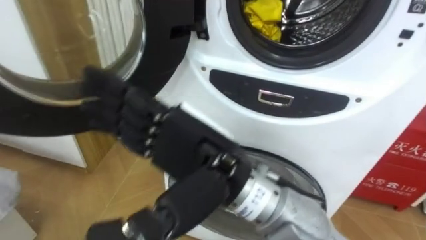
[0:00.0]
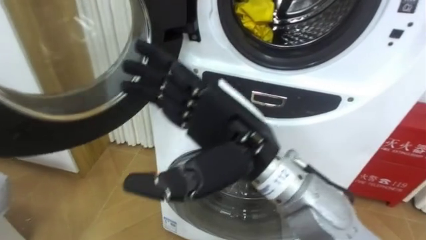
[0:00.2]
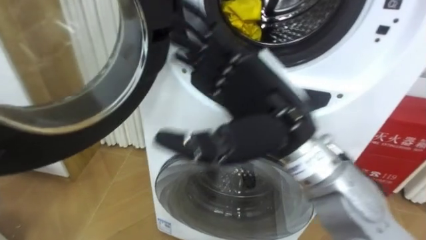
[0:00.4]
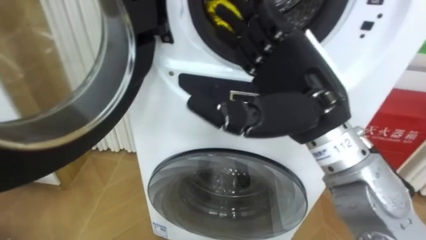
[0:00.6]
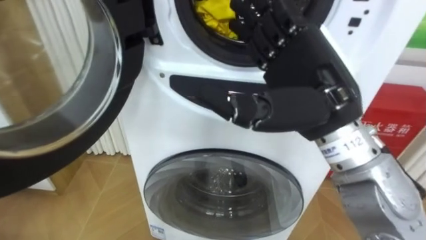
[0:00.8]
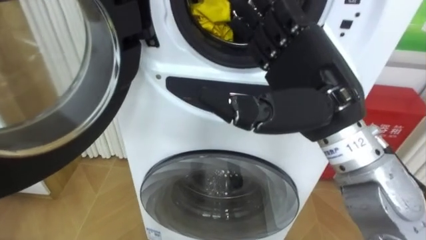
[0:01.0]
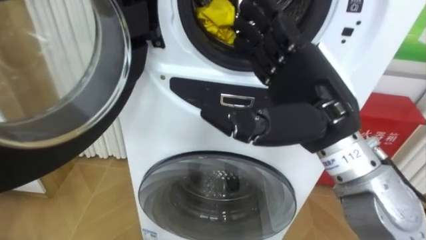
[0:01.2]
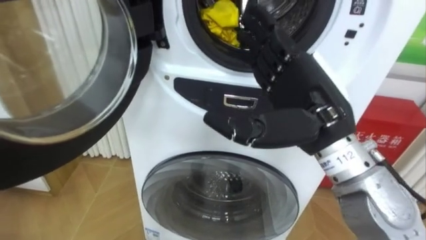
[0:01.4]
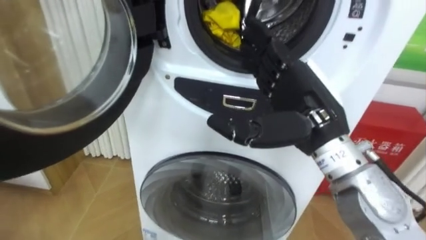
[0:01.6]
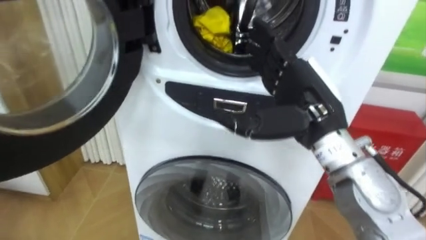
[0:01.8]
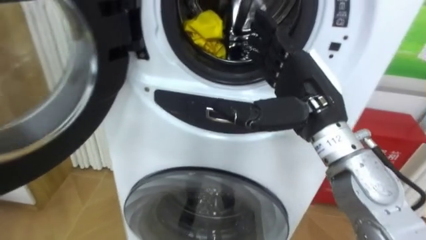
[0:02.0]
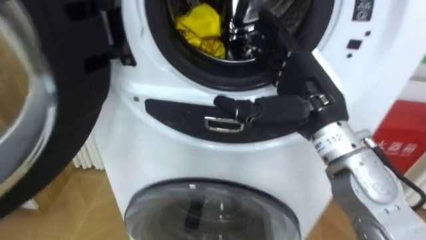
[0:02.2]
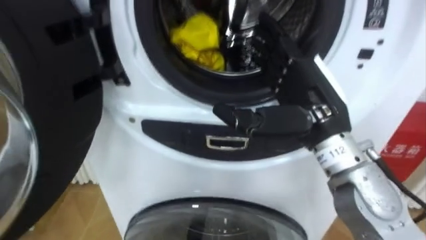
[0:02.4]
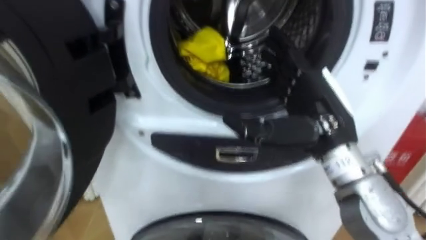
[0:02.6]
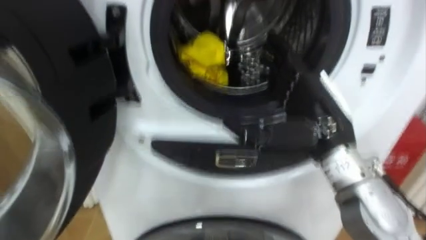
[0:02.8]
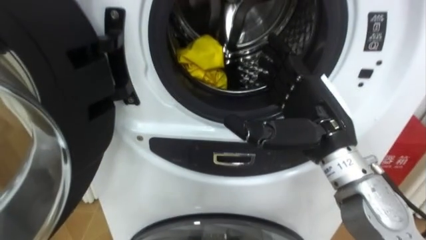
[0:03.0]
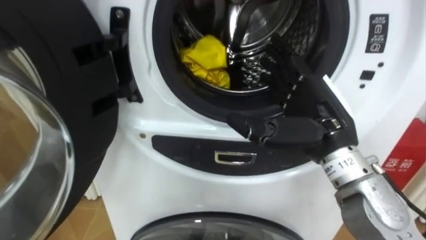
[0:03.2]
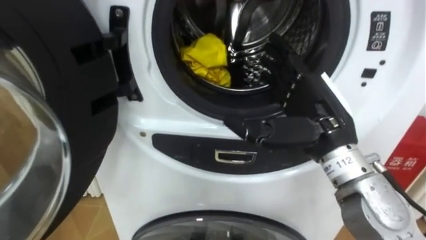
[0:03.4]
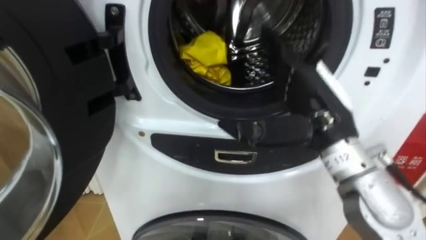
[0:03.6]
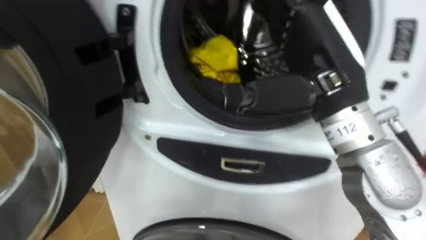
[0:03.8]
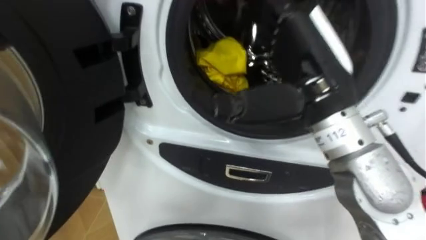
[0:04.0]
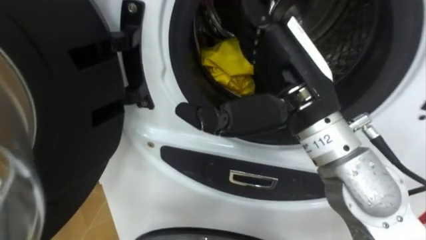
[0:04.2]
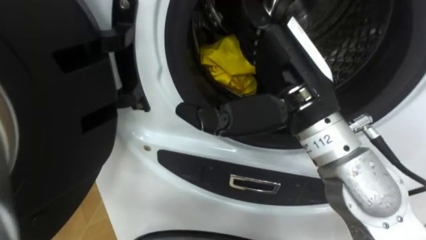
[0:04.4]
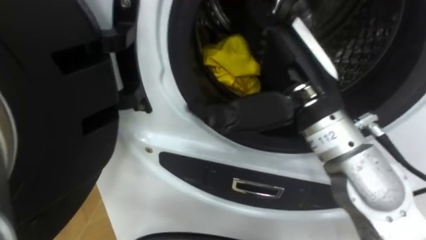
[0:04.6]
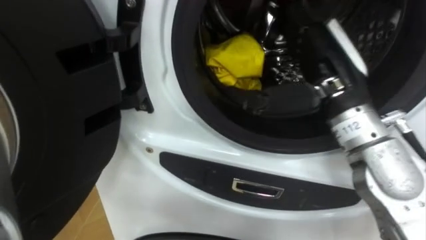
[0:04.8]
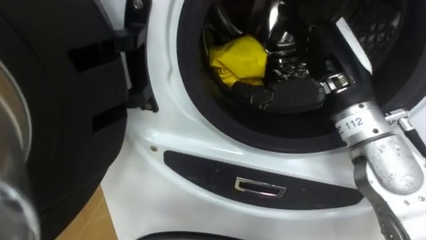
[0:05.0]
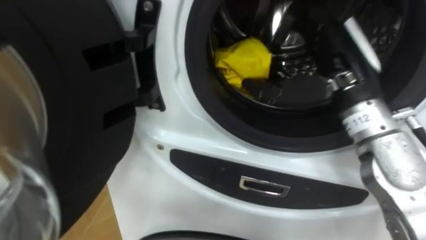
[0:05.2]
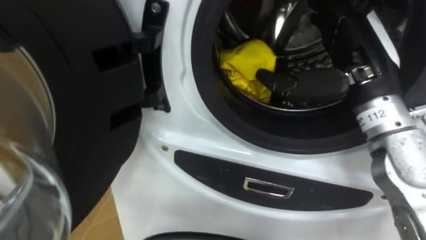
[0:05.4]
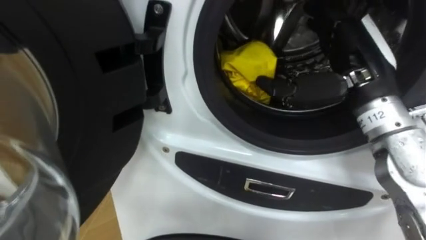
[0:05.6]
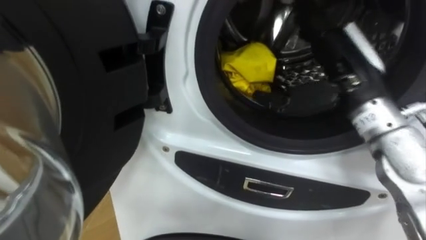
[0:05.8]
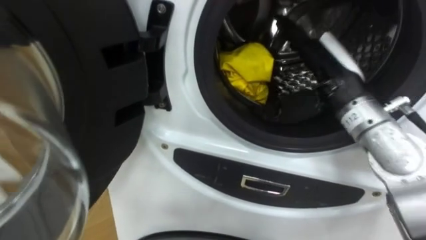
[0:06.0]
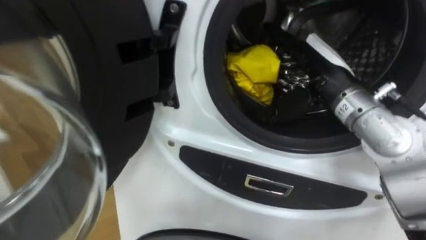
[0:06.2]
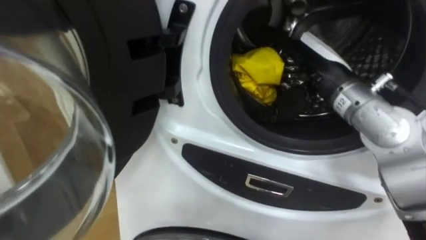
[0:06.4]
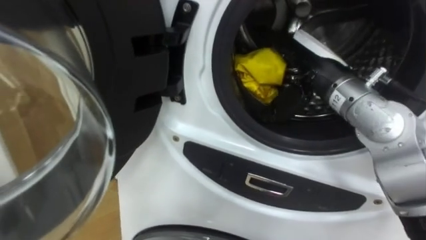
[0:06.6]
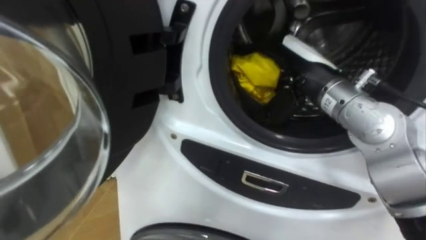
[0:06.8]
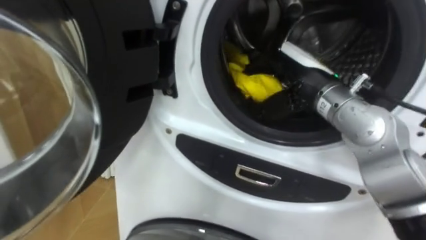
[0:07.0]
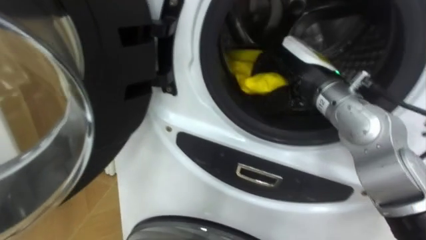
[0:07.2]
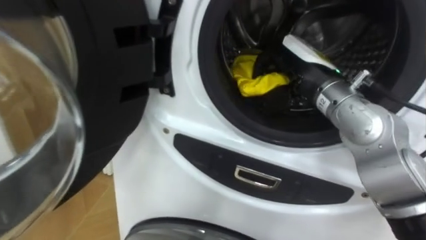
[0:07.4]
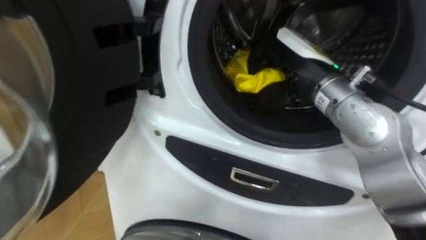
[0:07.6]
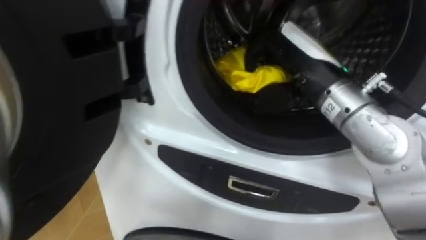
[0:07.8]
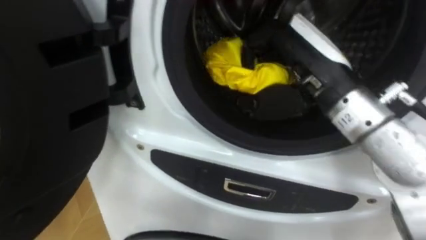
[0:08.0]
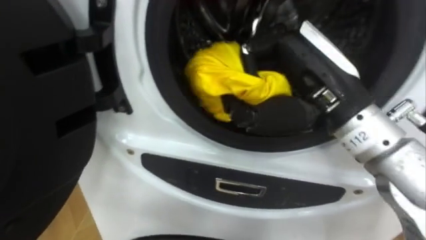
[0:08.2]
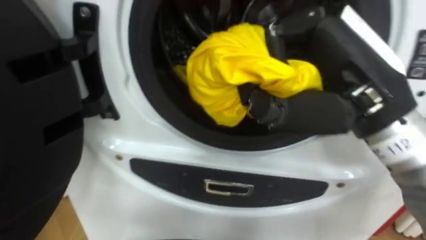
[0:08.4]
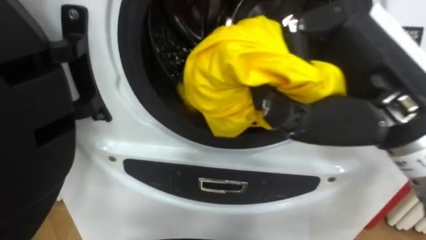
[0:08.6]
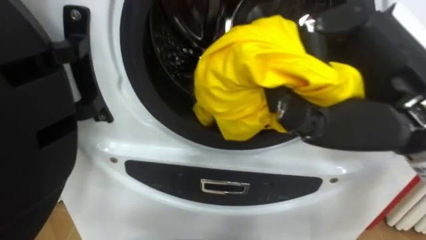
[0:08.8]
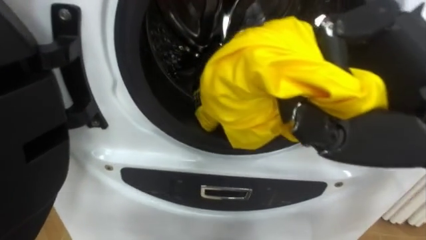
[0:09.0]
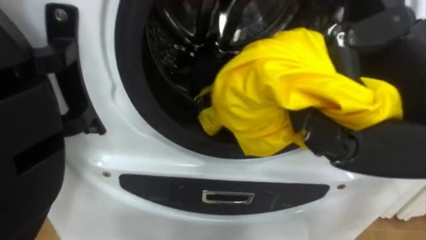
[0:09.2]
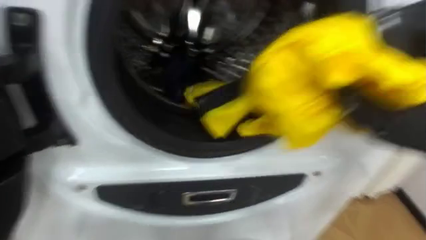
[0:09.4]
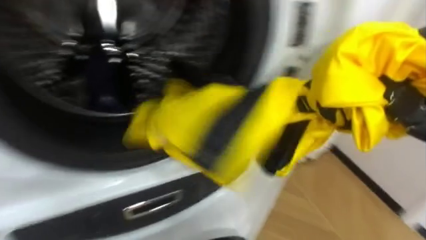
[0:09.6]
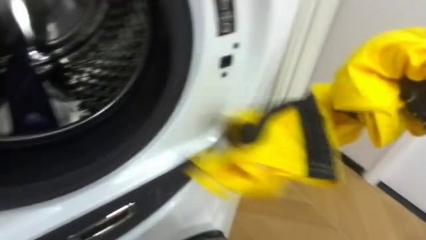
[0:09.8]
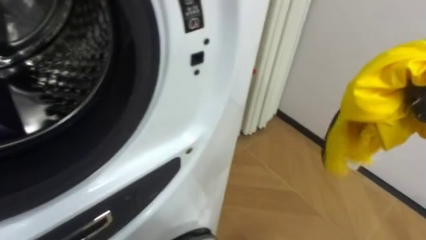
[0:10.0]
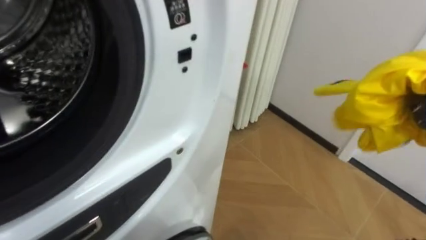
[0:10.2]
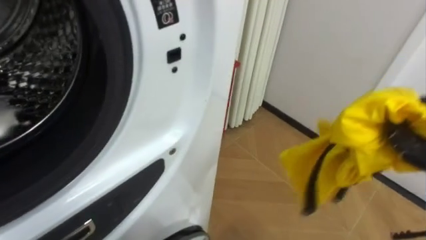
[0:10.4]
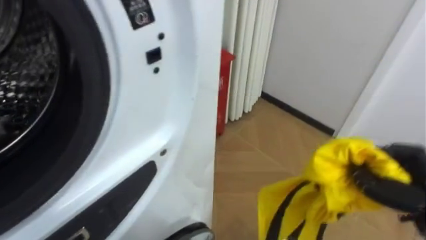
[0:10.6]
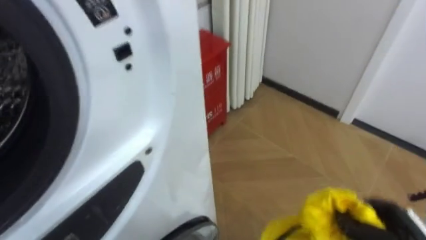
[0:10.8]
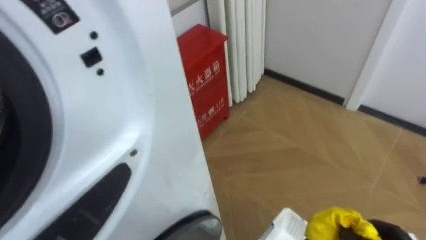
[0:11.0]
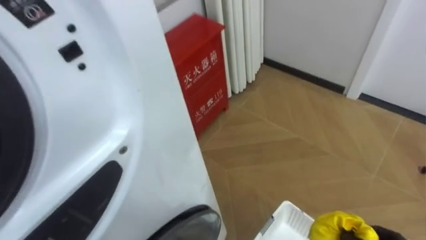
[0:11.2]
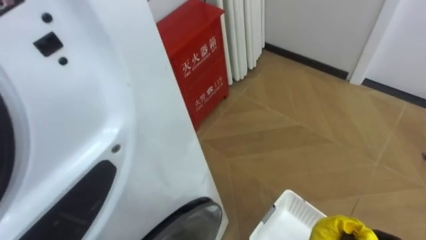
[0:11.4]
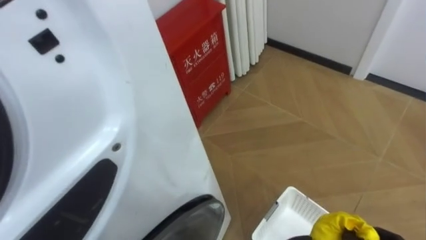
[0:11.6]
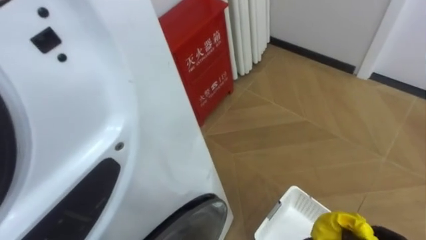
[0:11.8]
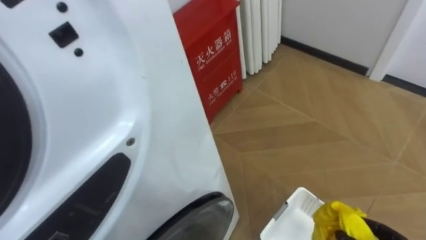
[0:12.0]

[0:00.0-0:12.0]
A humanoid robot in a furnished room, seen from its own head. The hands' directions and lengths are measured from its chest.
Task of the whole recording: Open the washing machine door, take out the yellow clothes, place them in the box on the right, and close the washing machine door.
0:00.0 to 0:01.6: The right hand is displaced to the right and forward by about 15 cm.
0:03.0 to 0:04.4: The right hand heads upward and to the left, covering some 10 cm.
0:04.4 to 0:06.0: The right hand is displaced to the right and forward by approximately 10 cm.
0:06.0 to 0:07.6: The right hand closes up.
0:07.6 to 0:09.0: The right hand heads backward and upward, covering roughly 15 cm.
0:09.0 to 0:10.4: The robot turns to its right by some 30 degrees.

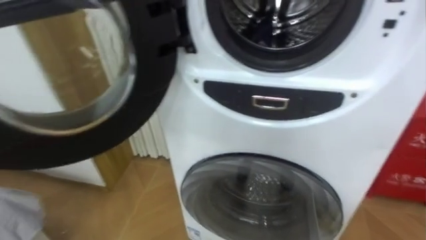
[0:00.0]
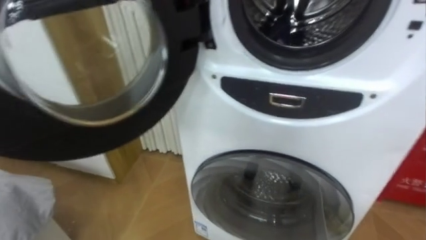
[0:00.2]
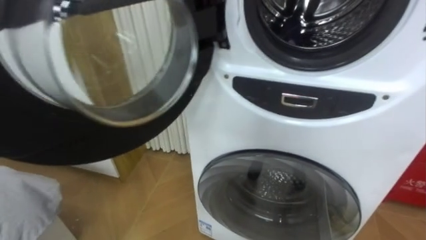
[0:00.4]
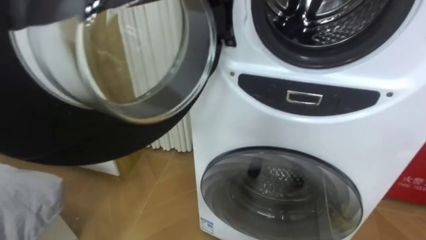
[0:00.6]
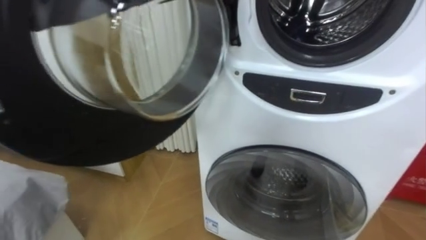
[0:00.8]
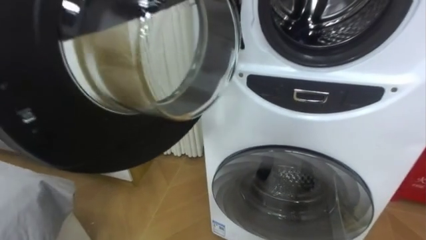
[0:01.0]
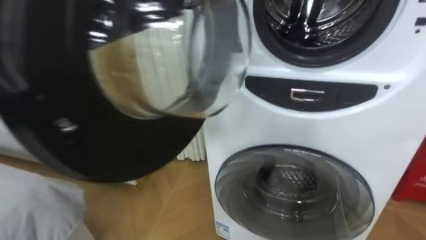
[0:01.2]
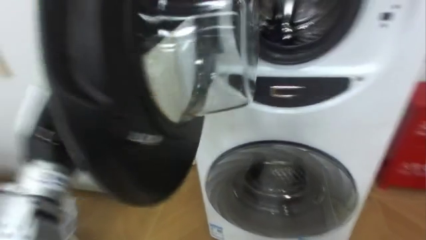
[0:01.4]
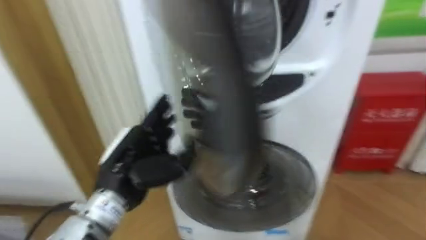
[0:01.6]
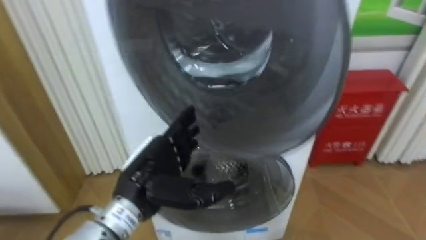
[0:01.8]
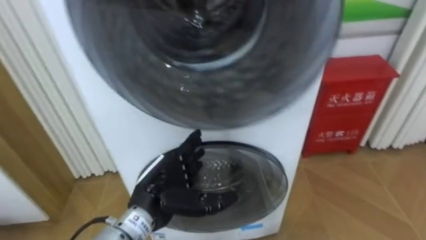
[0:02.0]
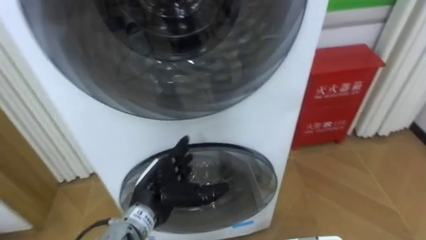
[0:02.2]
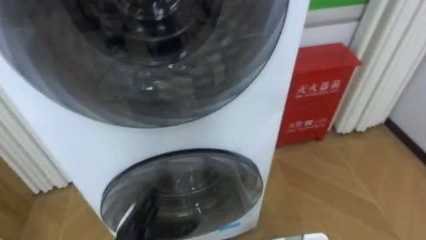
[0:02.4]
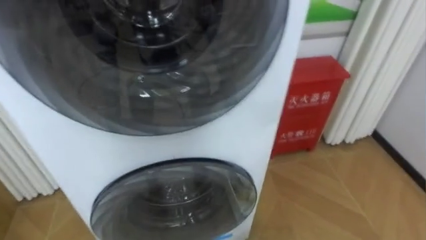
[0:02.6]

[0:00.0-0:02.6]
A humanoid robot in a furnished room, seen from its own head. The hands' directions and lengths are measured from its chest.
Task of the whole recording: Open the washing machine door, take out the yellow clothes, place them in the box on the right, and close the washing machine door.
0:01.2 to 0:02.6: The robot rotates roughly 20 degrees to its right.

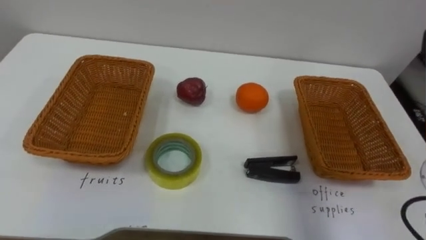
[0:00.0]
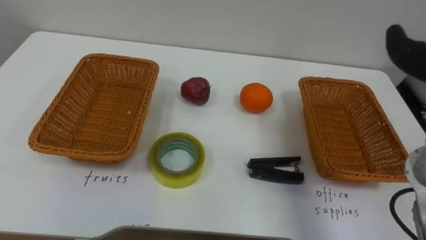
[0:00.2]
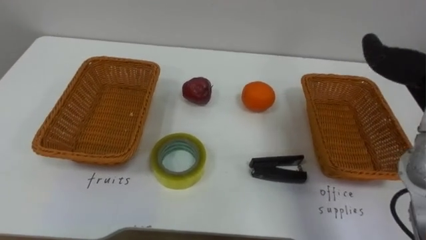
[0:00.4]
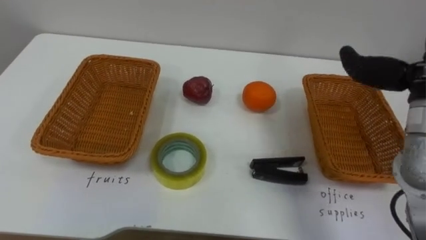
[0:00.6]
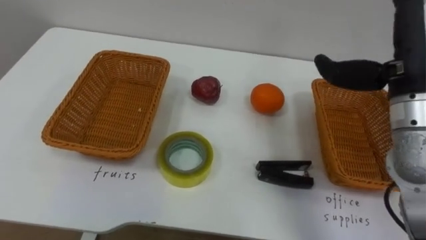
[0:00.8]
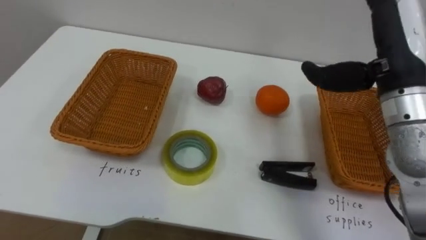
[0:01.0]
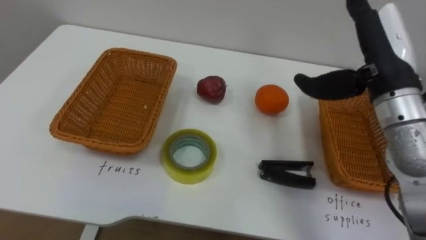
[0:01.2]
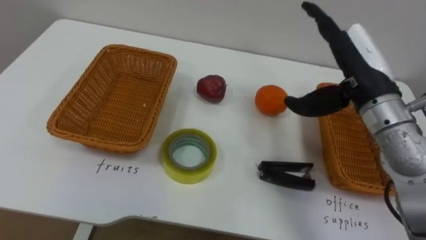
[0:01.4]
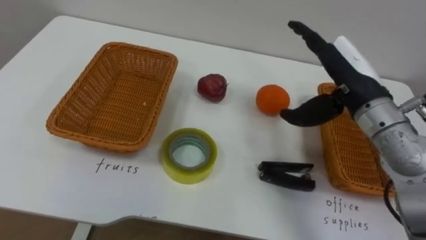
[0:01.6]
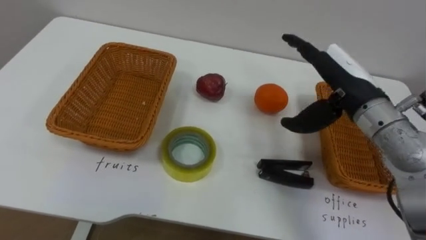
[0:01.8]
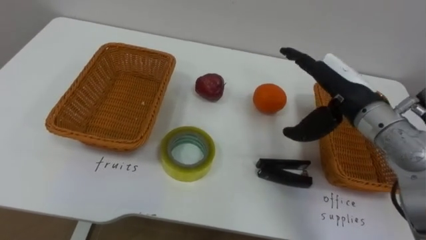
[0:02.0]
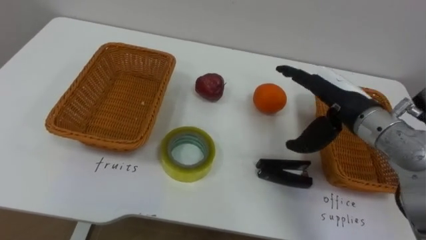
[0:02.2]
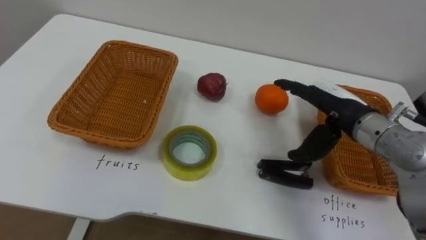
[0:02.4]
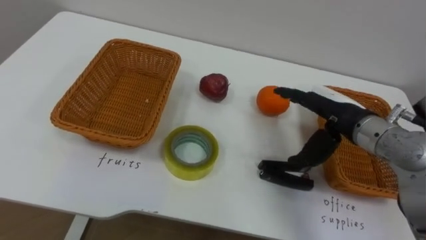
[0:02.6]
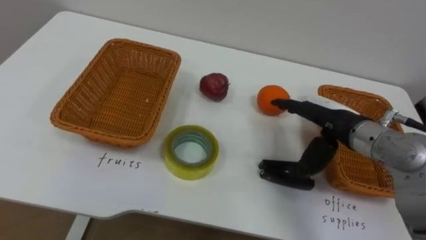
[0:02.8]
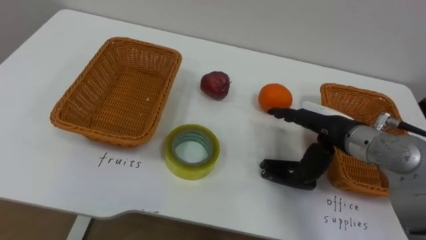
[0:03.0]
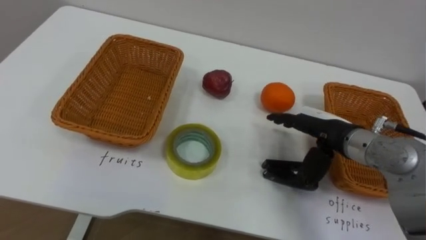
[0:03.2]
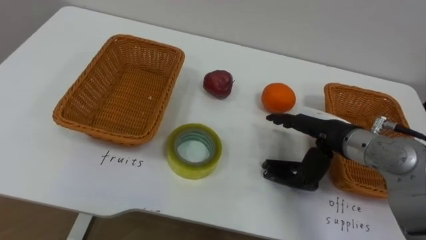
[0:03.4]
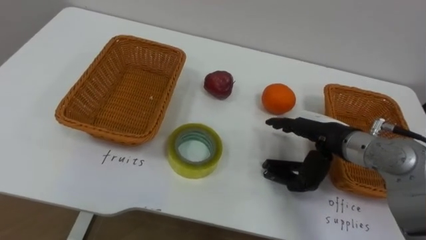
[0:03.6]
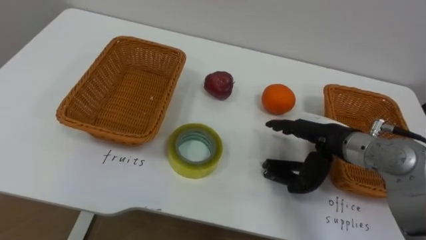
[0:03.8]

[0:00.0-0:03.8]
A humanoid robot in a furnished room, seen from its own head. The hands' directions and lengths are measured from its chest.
Task of the whole recording: Separate the items on the table and place them into the two baskets.
0:01.2 to 0:02.6: The right hand shifts approximately 10 cm downward.
